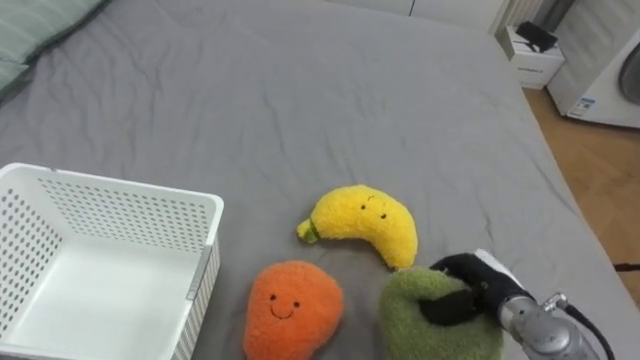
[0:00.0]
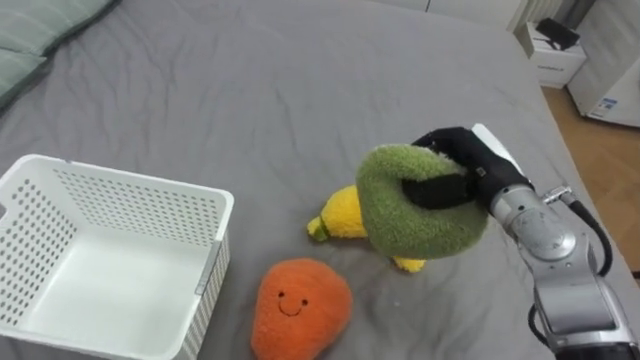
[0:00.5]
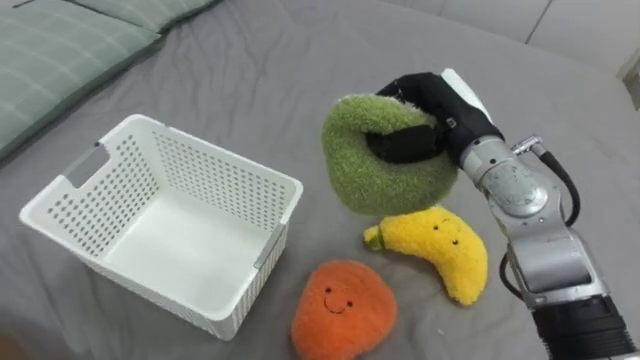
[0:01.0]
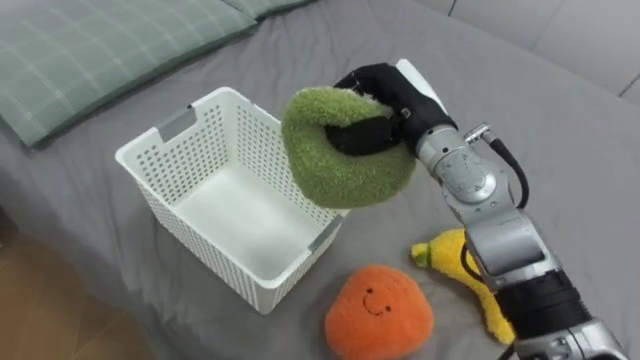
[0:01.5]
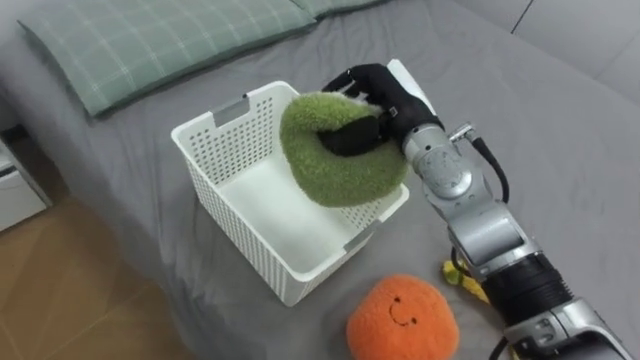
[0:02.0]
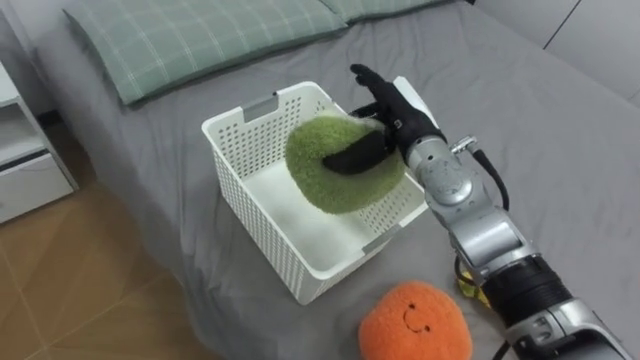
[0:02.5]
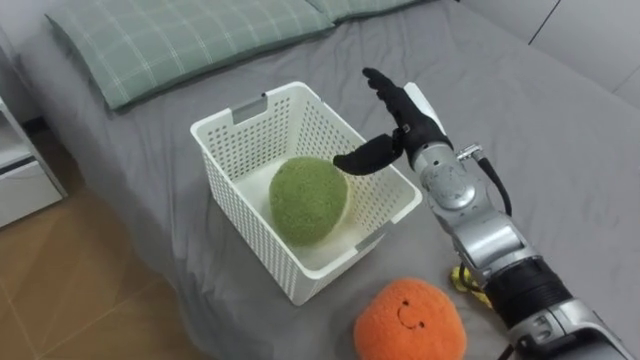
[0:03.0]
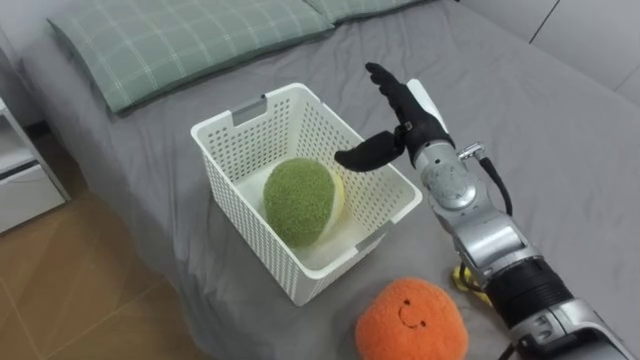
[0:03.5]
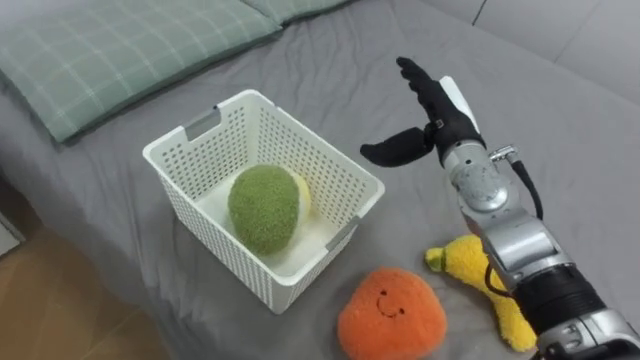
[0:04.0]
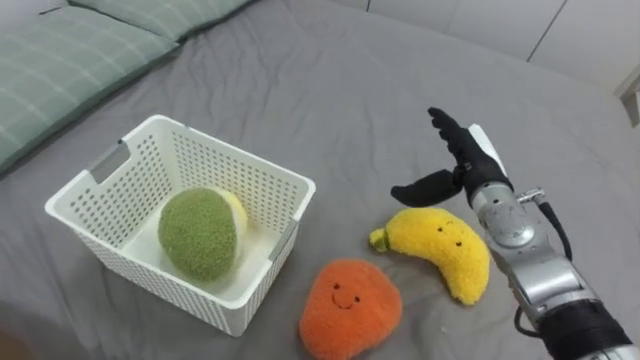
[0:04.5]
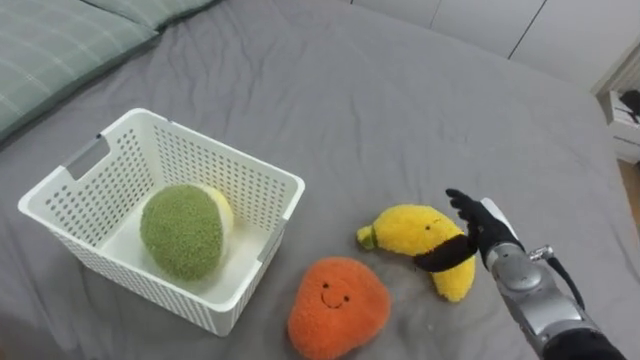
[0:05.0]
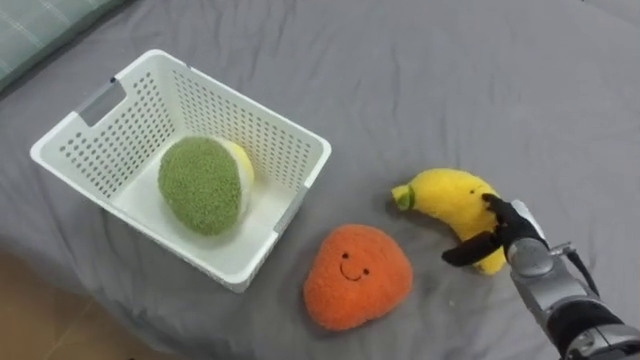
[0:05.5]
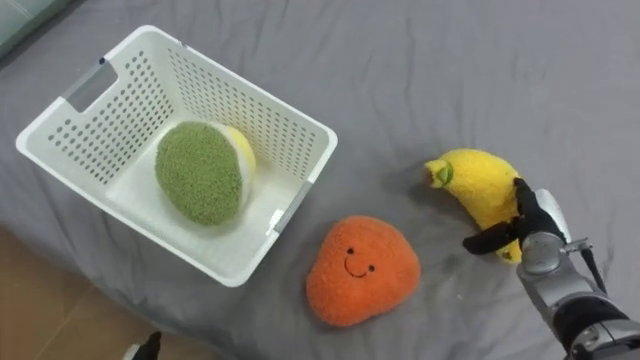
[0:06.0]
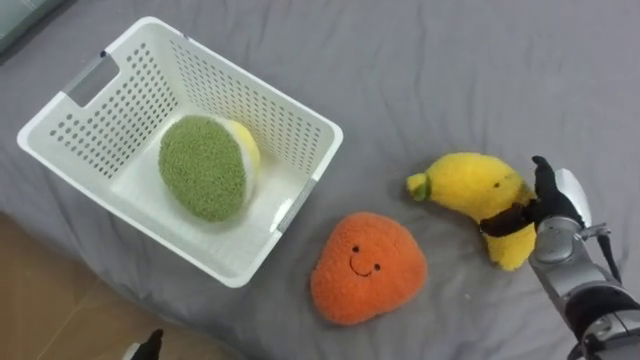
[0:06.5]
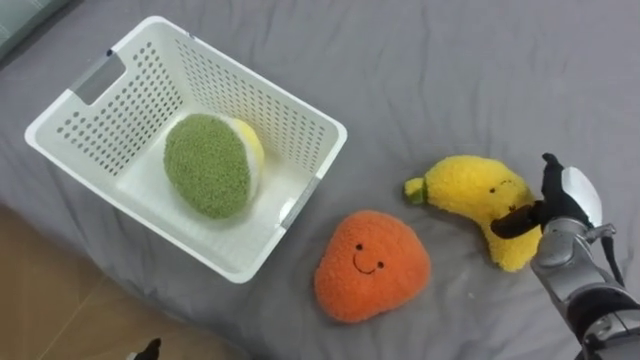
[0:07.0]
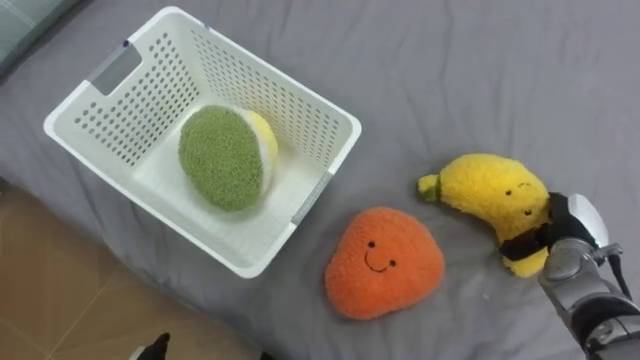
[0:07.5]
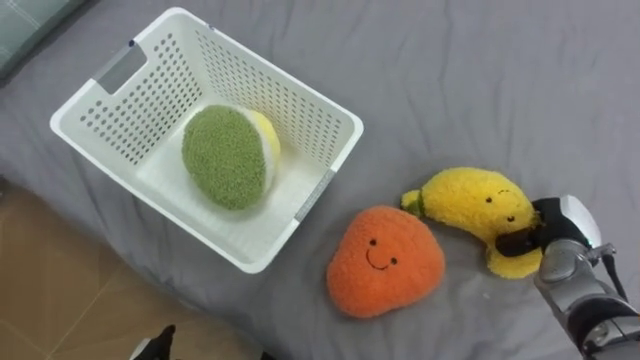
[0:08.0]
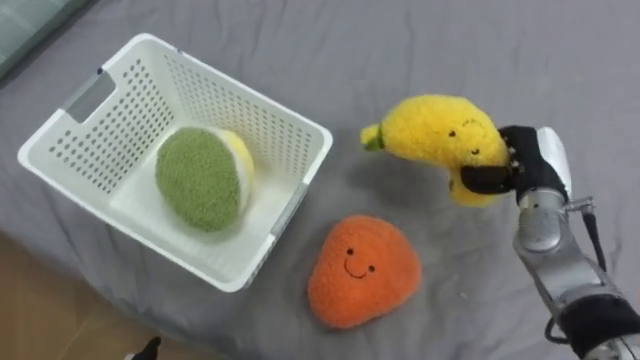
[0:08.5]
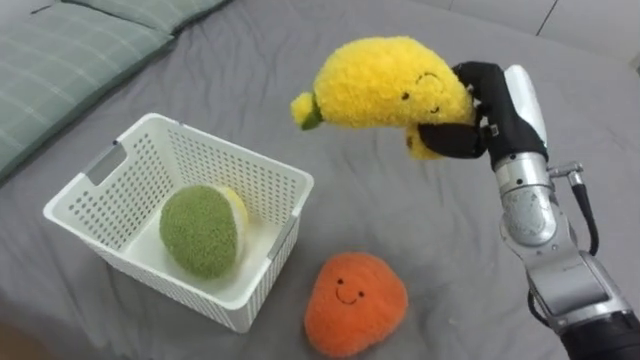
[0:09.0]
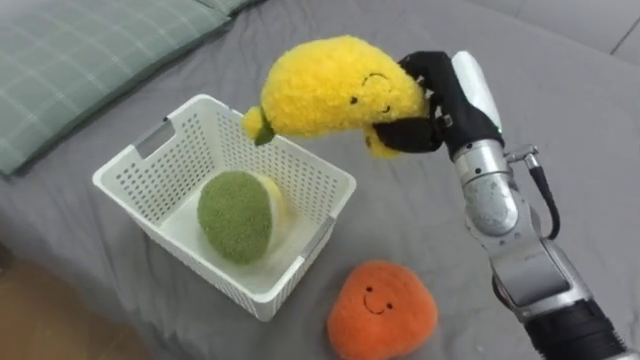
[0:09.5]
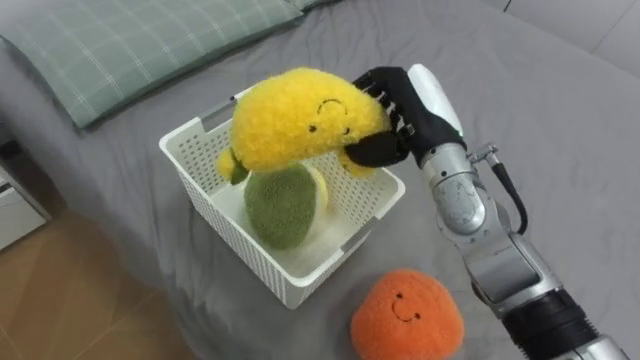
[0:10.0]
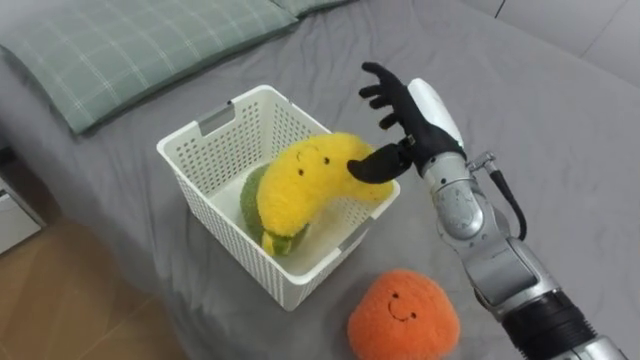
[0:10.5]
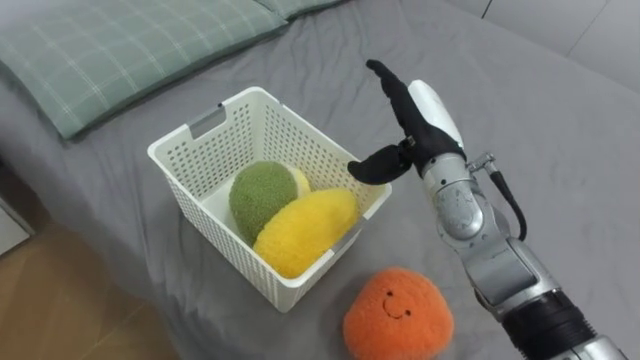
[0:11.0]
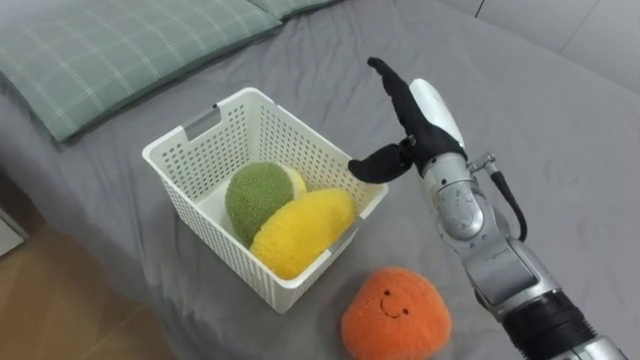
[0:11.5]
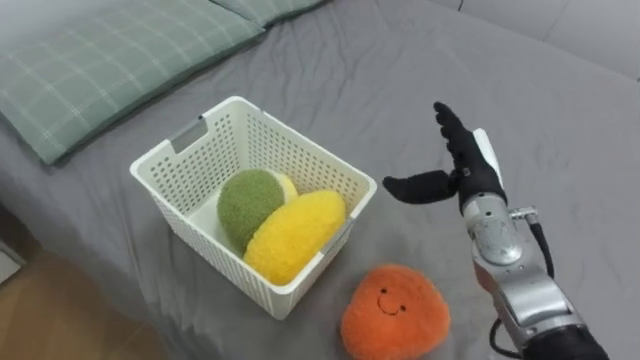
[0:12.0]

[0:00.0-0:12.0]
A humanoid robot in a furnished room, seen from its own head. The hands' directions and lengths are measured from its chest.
Task of the whole recording: Put the toys on the bed into the basket on the left.
0:00.0 to 0:02.0: The right hand heads upward, forward and to the left, covering approximately 30 cm.
0:02.0 to 0:04.0: The right hand moves to the right, some 5 cm, and opens up.
0:04.0 to 0:06.0: The right hand heads to the right, downward and backward, covering some 20 cm.
0:06.0 to 0:08.0: The right hand closes.
0:08.0 to 0:10.0: The right hand moves to the left and upward, about 30 cm.
0:10.0 to 0:12.0: The right hand moves downward and to the right, roughly 10 cm, and opens its fingers.

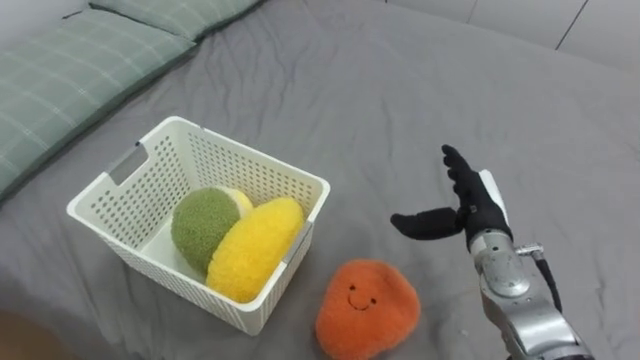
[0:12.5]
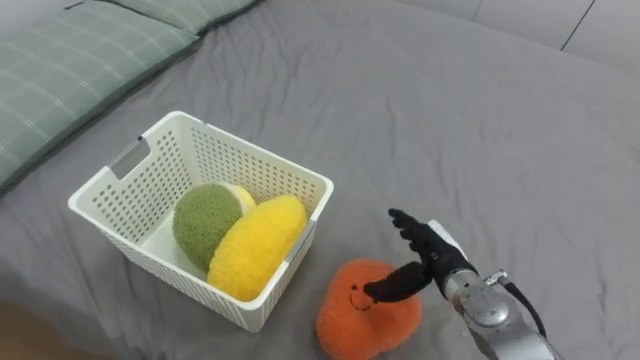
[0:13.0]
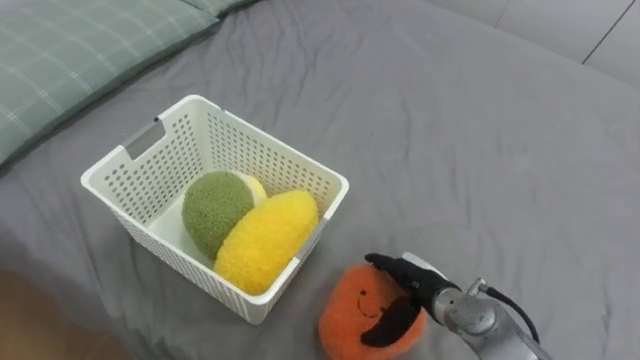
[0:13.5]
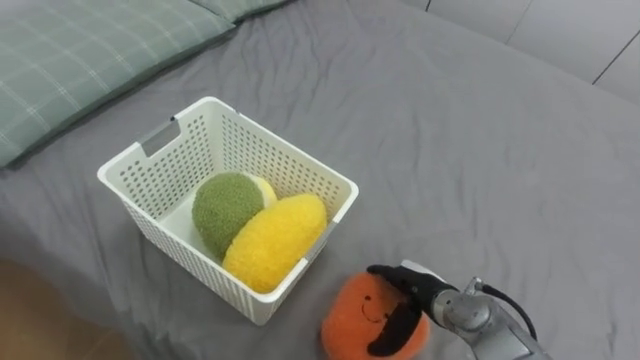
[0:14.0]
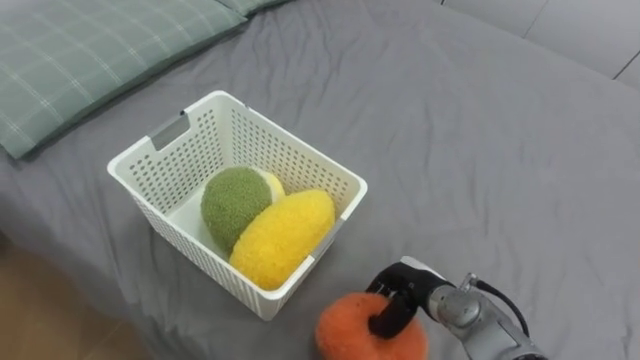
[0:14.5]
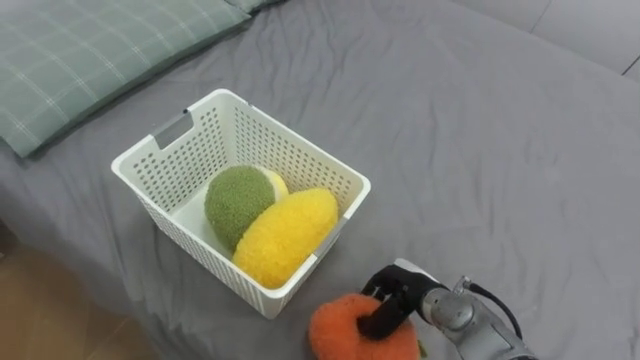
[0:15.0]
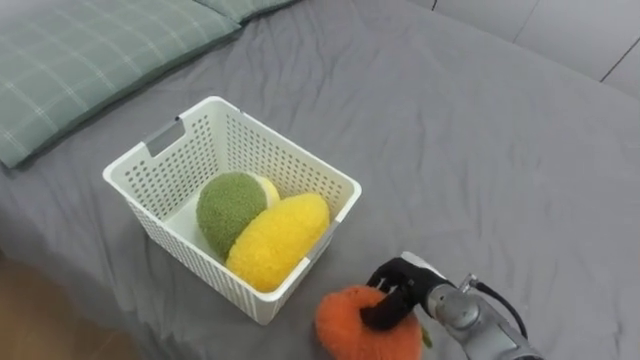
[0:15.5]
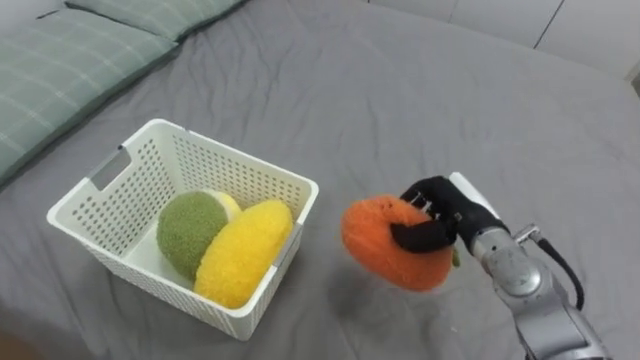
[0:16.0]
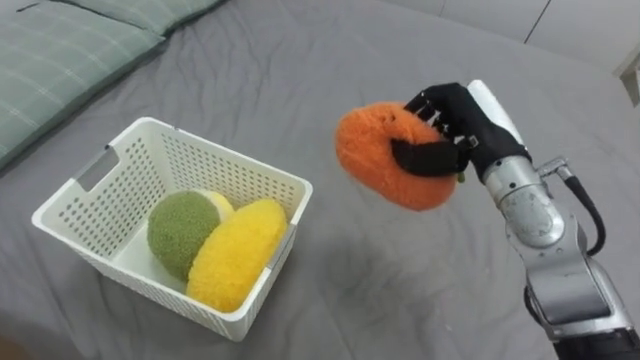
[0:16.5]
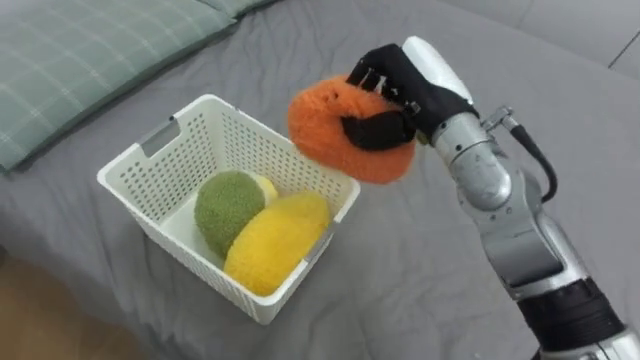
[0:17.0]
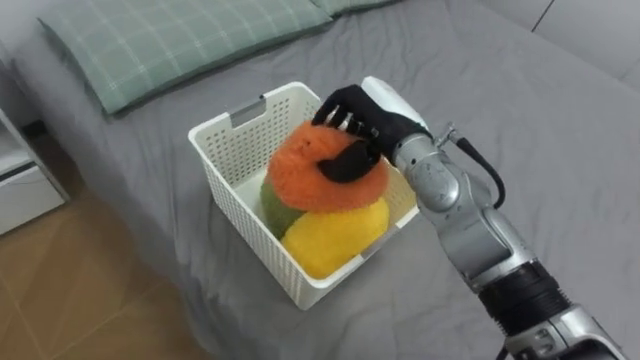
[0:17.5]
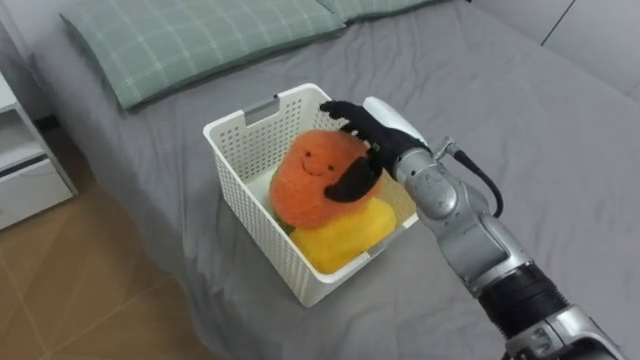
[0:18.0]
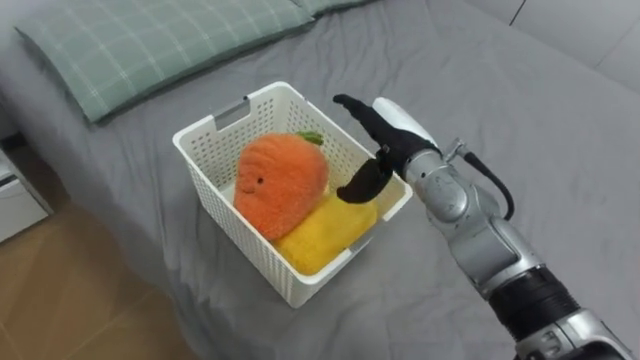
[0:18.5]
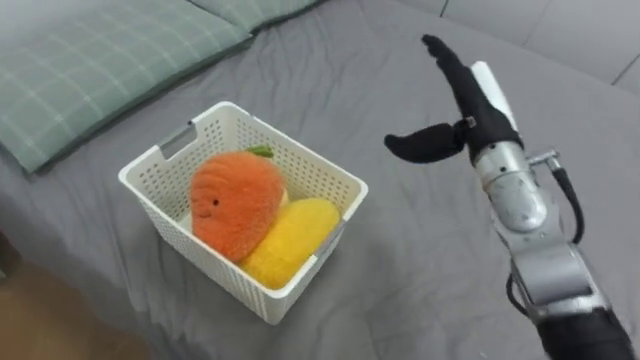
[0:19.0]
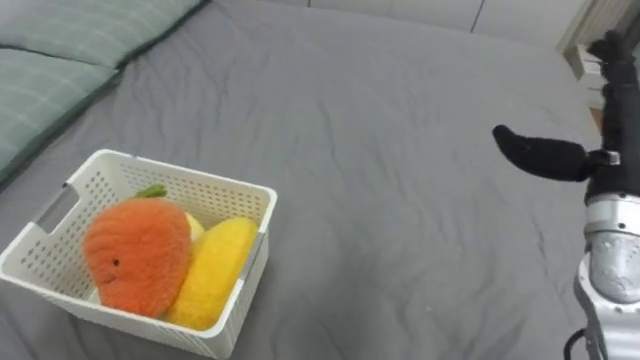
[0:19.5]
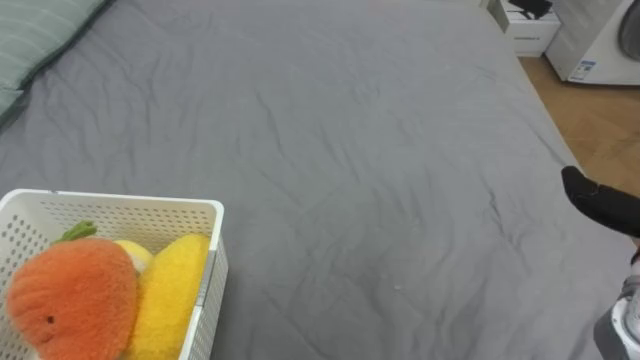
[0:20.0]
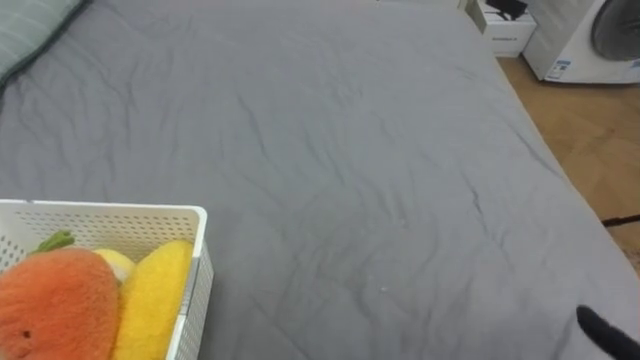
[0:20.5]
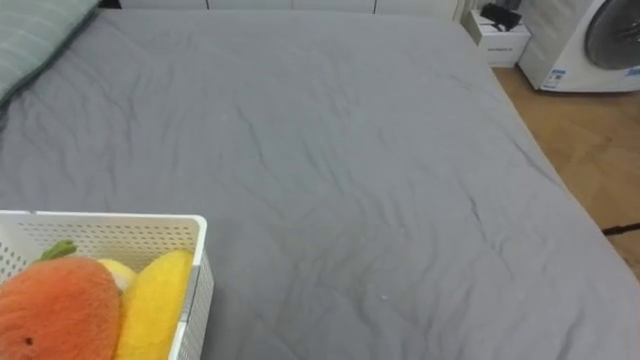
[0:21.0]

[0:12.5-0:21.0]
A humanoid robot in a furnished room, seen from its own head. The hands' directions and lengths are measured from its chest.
Task of the whole recording: Put the toys on the bed into the basket on the left.
0:12.5 to 0:14.5: The right hand goes some 15 cm downward, to the left and backward, and closes.
0:14.5 to 0:16.5: The right hand is displaced upward by some 25 cm.
0:16.5 to 0:19.0: The right hand travels to the left and back again, some 10 cm each way, and opens.
